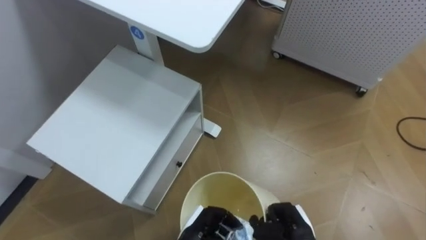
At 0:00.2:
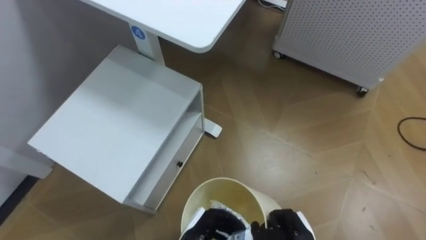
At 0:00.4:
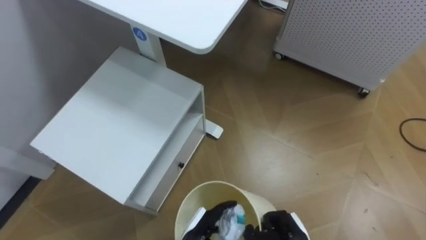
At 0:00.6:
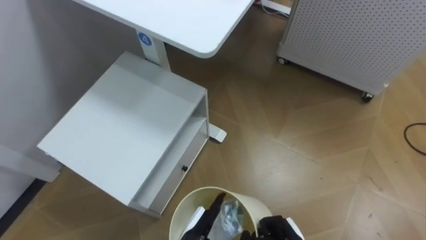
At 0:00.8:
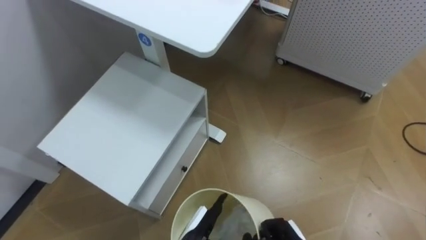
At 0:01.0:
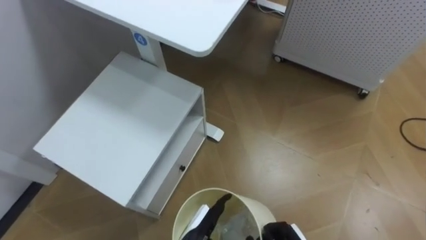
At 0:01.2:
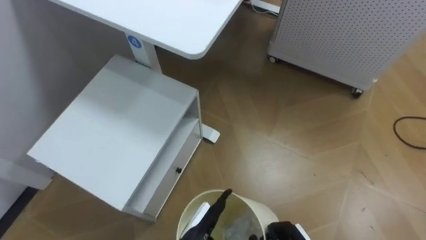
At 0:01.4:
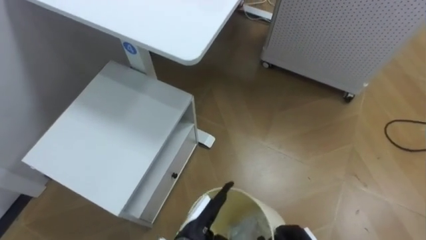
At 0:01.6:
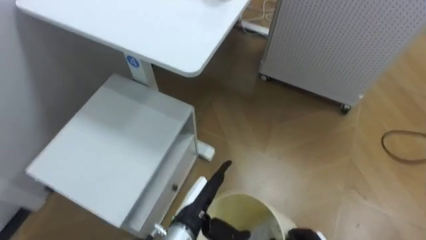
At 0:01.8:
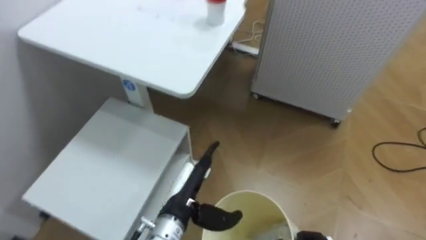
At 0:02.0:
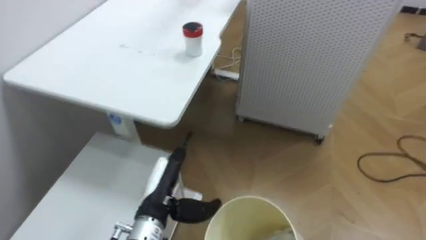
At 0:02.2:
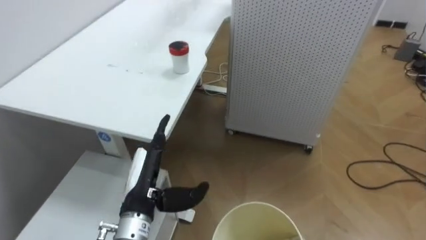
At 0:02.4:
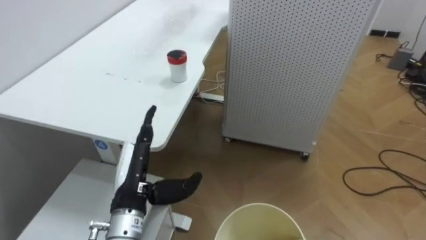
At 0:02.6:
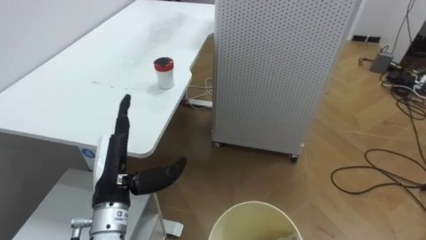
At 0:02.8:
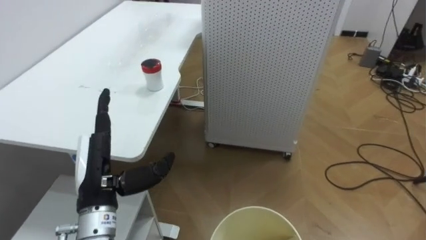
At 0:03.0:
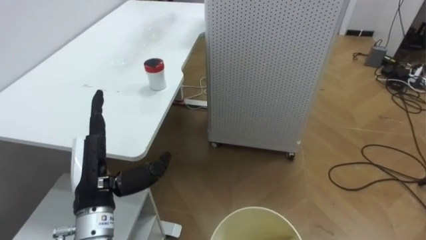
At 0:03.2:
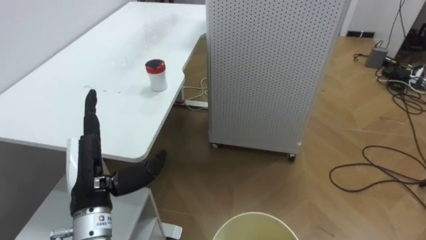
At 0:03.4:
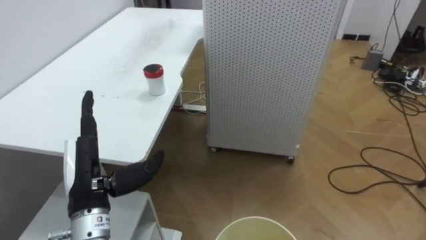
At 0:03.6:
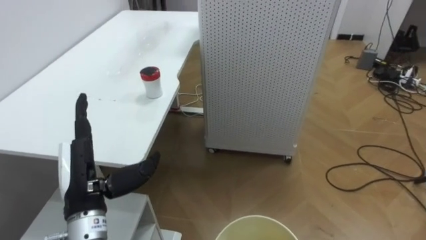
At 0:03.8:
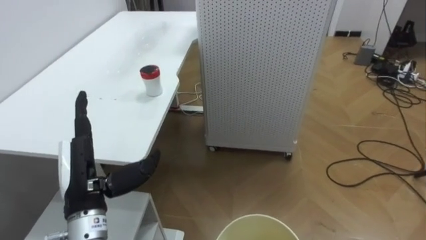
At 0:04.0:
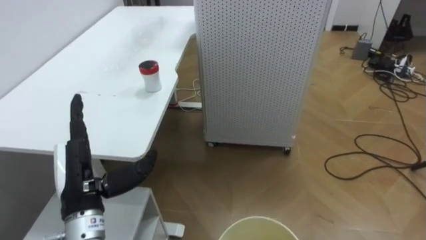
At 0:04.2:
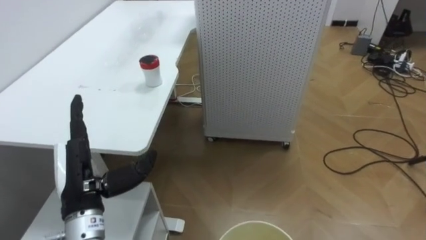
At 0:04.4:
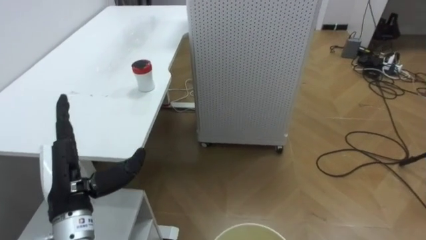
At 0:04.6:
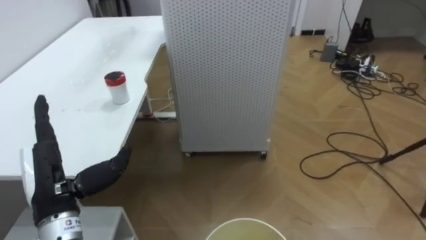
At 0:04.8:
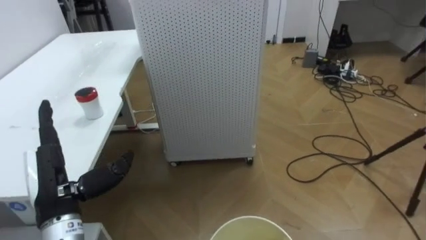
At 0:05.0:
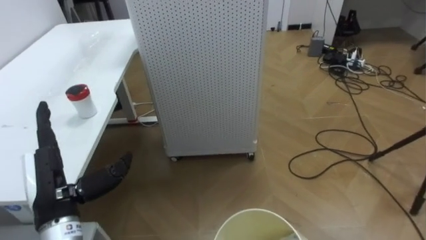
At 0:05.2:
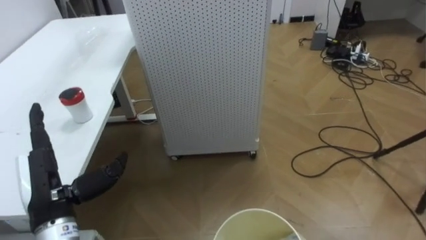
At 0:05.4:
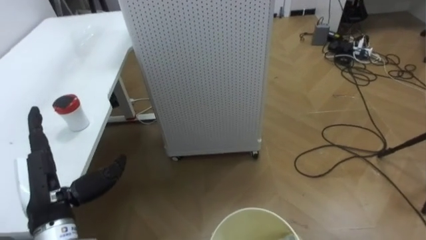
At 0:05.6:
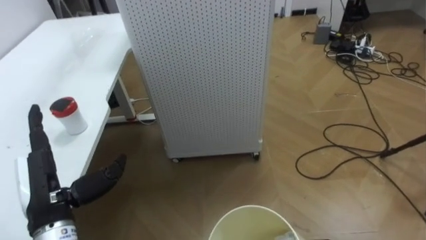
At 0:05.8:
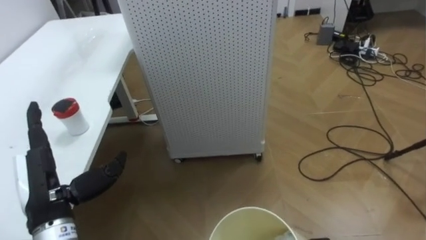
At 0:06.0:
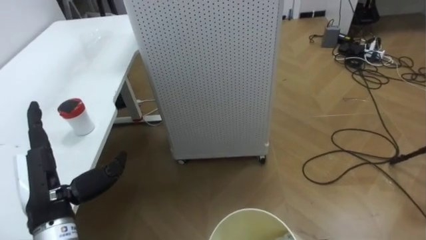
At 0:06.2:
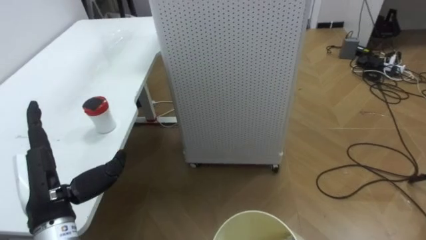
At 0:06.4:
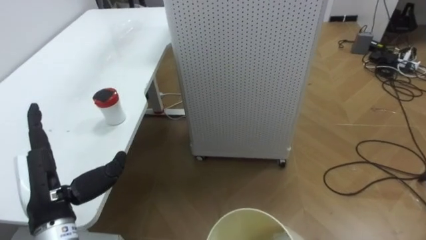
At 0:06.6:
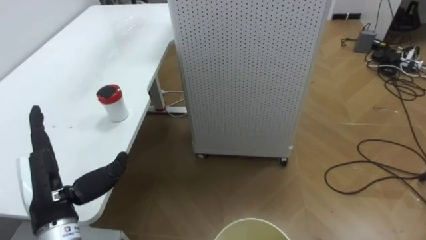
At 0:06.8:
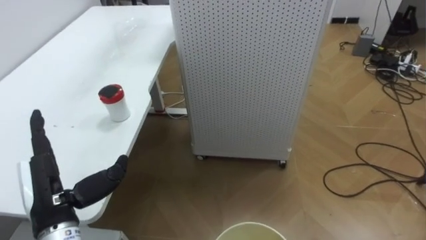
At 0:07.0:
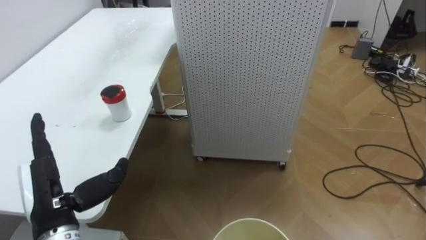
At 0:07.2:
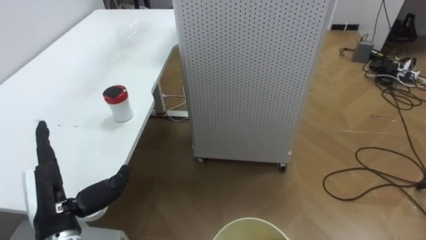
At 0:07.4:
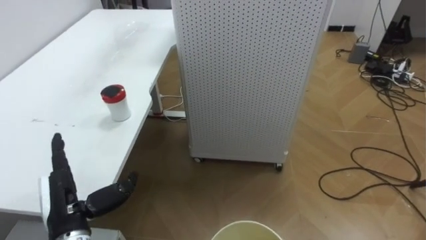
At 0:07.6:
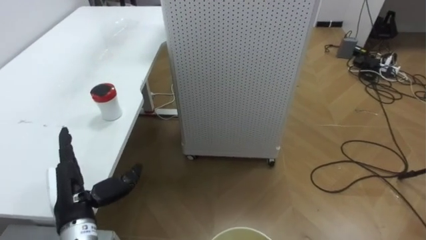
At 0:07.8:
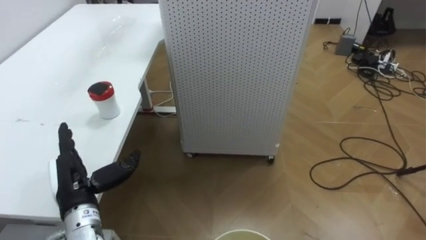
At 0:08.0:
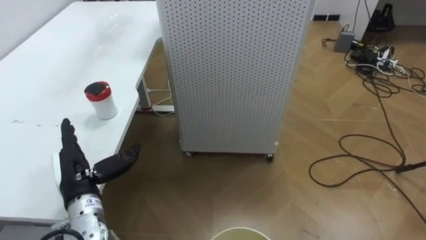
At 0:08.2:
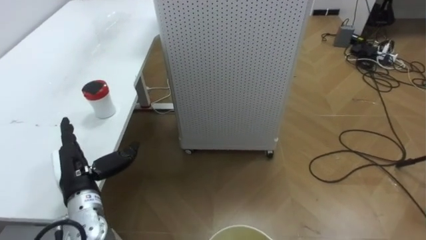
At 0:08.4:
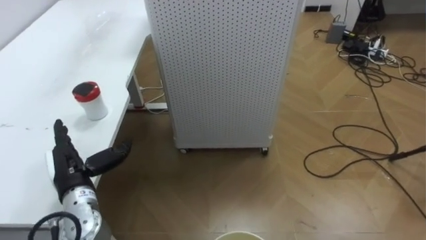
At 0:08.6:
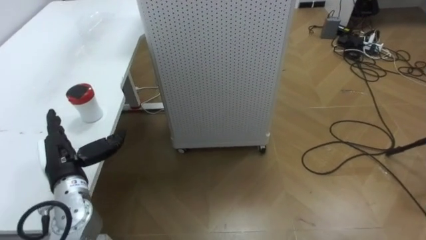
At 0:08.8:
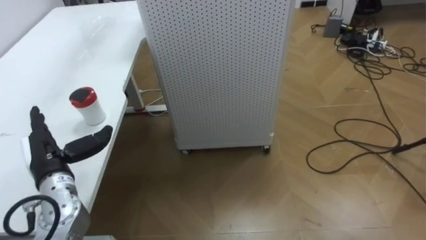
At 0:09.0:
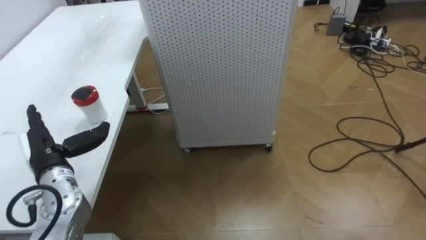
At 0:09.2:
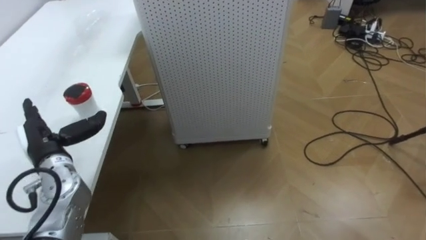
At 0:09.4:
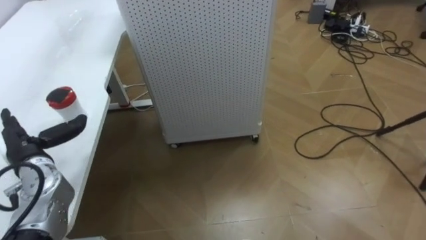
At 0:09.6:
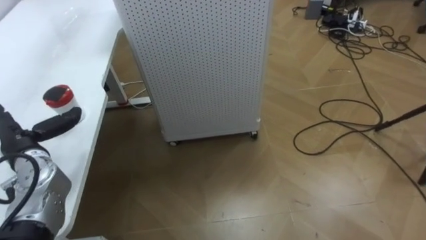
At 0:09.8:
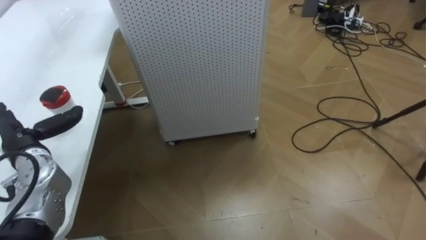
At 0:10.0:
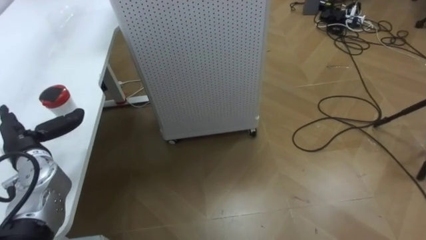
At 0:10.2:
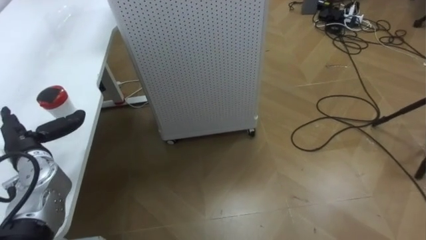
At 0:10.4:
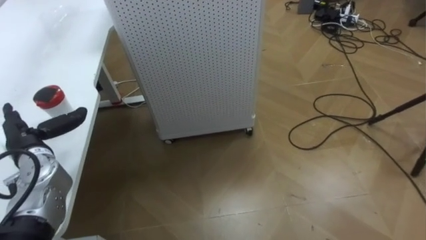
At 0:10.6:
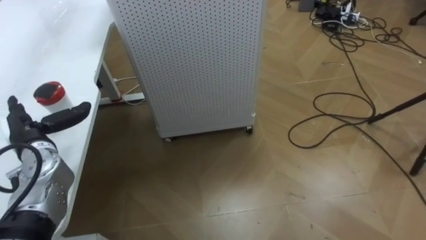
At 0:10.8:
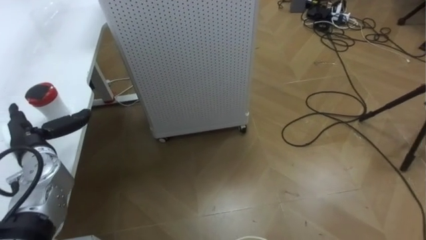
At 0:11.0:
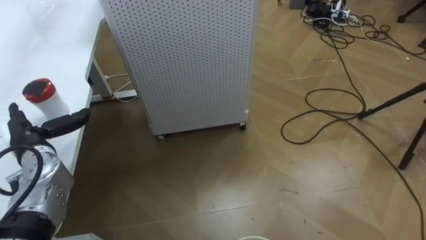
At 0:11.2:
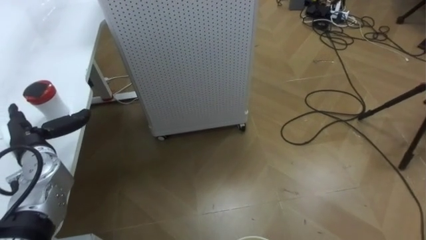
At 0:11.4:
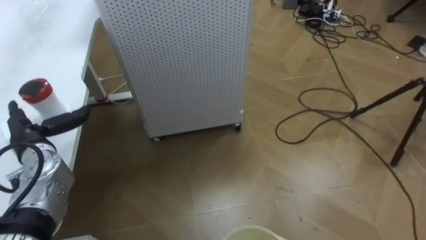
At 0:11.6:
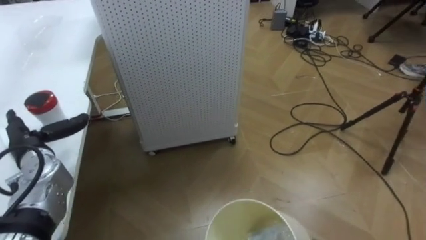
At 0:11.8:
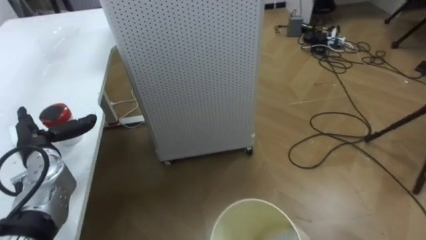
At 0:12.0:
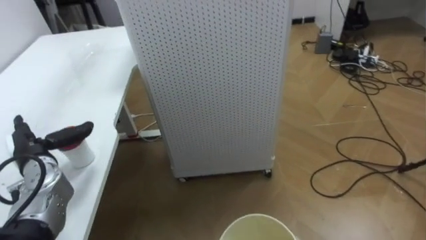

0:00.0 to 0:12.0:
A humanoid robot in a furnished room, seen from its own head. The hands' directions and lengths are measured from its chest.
Task of the whole recording: Pick up the light blue package, the candy box, and the dark blue package separately, and put them into the trash can held in your right hand.
0:00.0 to 0:01.6: The left hand moves upward, about 5 cm, and opens up.
0:01.6 to 0:03.0: The robot rotates approximately 20 degrees to its right. The left hand travels to the left and upward by about 20 cm.
0:06.0 to 0:07.6: The left hand goes about 5 cm downward.
0:07.6 to 0:09.0: The left hand is displaced forward and to the left by some 10 cm.

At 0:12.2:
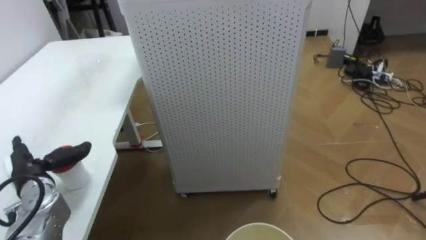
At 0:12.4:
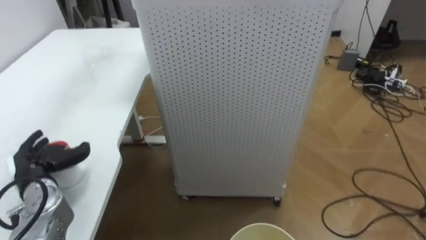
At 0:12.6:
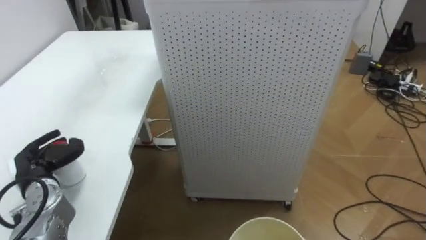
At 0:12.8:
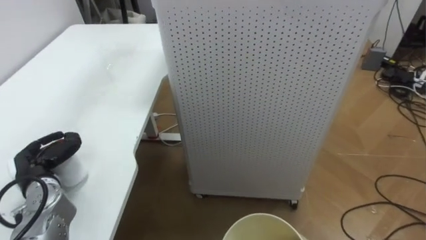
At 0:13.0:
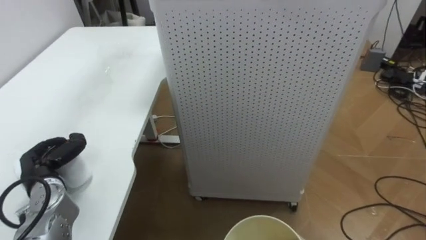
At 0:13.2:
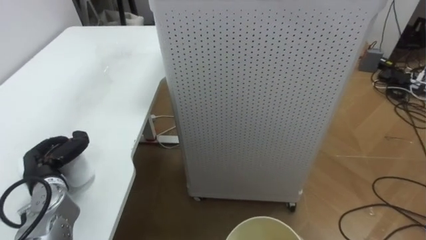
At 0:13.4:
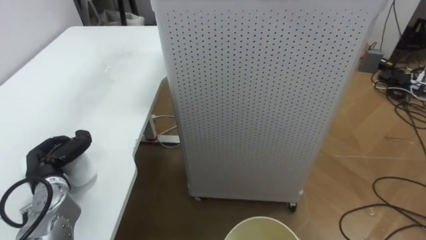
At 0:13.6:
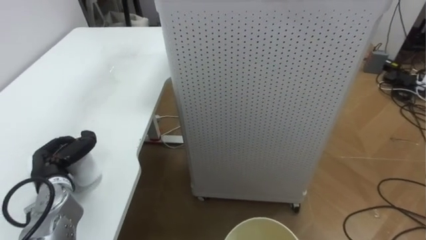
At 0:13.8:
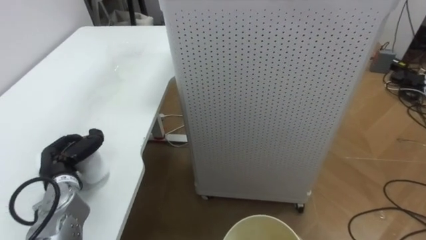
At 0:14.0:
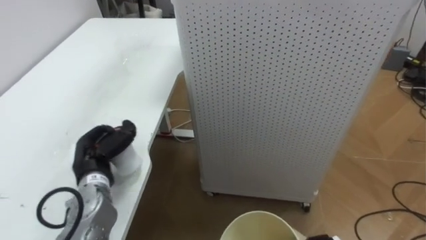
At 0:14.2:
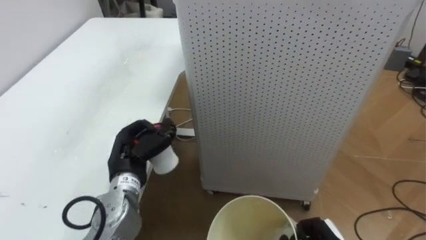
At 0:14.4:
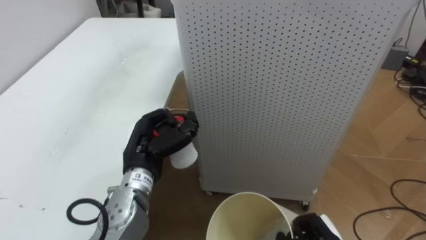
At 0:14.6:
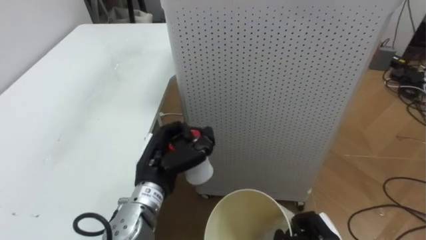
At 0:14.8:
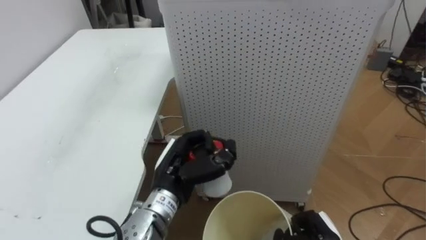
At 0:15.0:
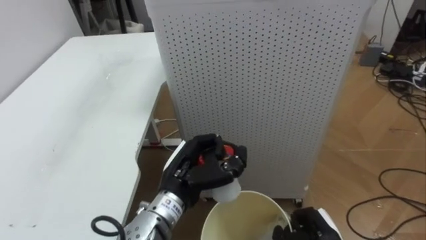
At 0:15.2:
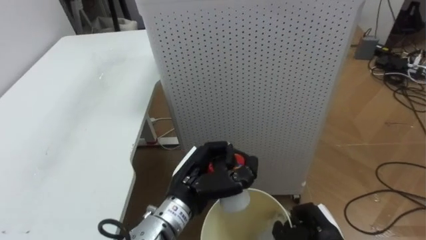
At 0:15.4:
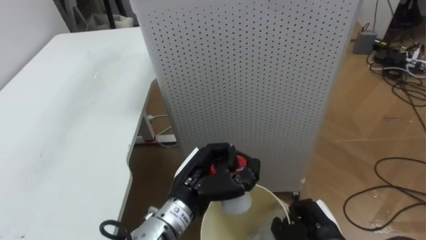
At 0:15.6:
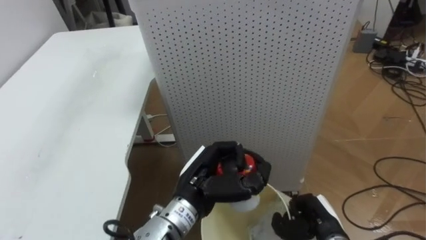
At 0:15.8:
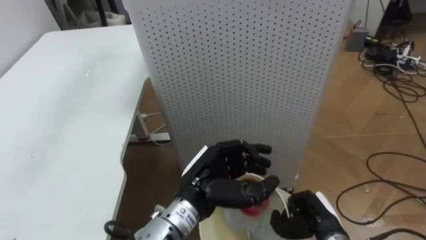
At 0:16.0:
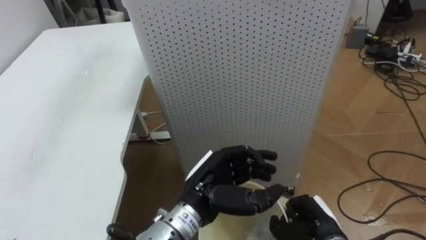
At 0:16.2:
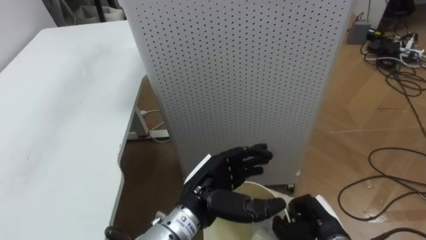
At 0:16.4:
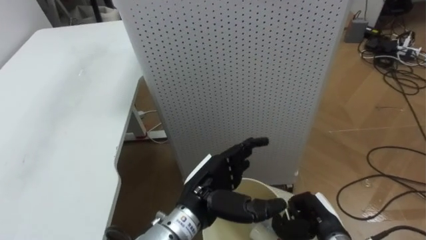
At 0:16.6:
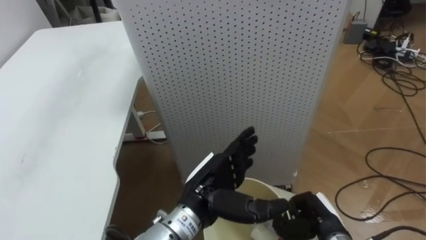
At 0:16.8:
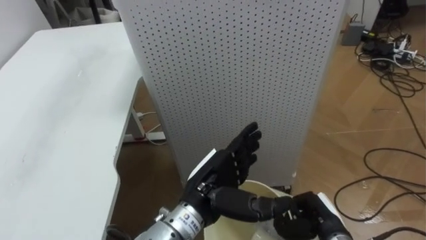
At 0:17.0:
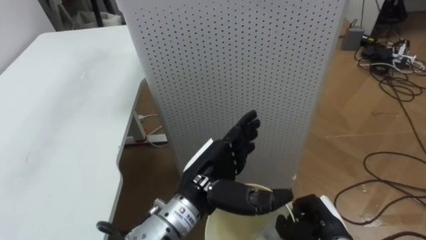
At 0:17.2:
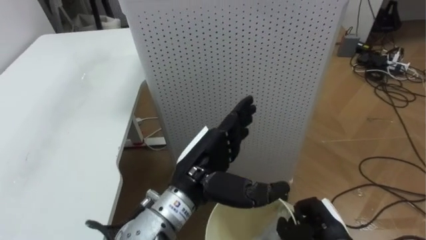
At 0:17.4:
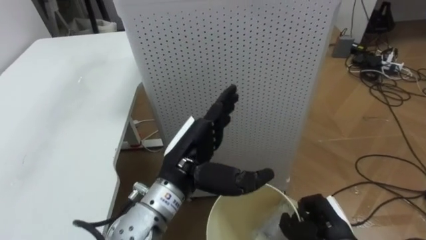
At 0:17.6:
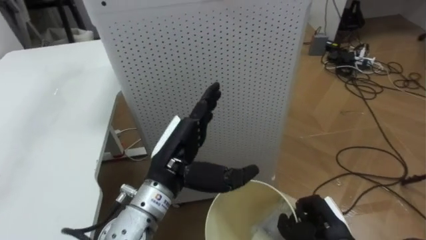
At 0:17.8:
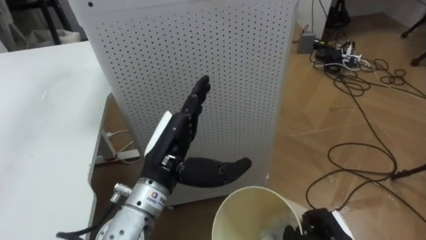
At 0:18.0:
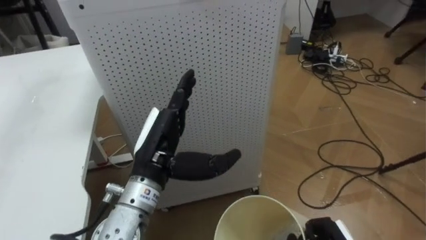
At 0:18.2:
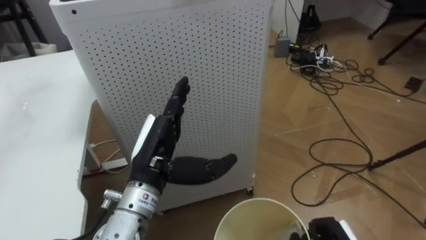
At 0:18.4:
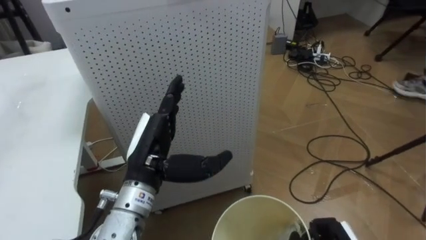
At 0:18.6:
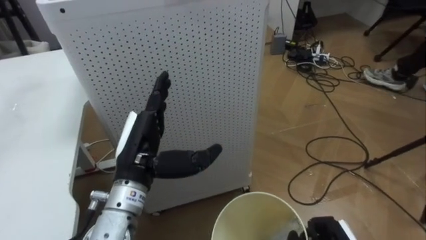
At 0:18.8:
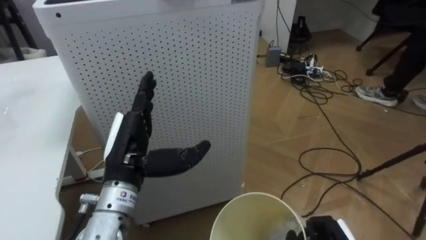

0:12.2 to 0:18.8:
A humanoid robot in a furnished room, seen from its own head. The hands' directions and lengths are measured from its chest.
Task of the whole recording: Pick up the light blue package, the candy box, and the dark blue package separately, and put them into the trash can held in your right hand.
0:12.2 to 0:13.8: The left hand closes up.
0:13.8 to 0:15.4: The left hand heads to the right, covering approximately 25 cm.
0:15.4 to 0:17.2: The left hand shifts some 5 cm upward, and opens.
0:17.2 to 0:18.8: The left hand goes approximately 10 cm to the left.
